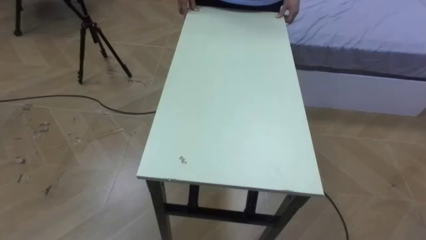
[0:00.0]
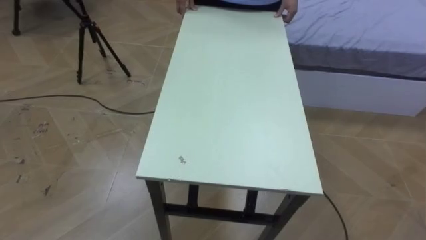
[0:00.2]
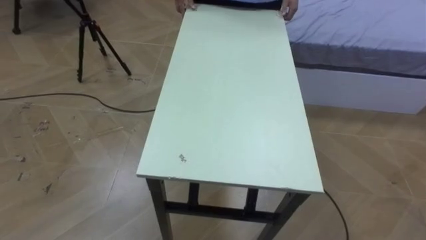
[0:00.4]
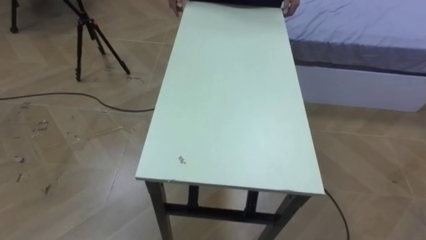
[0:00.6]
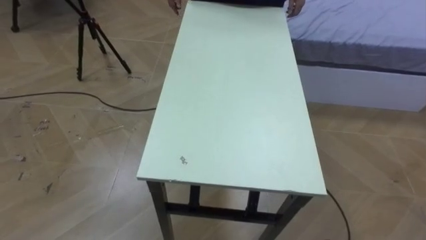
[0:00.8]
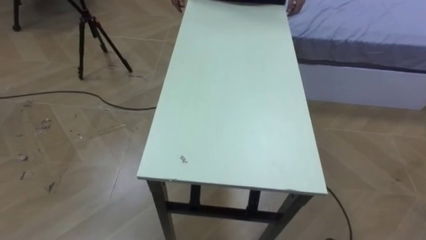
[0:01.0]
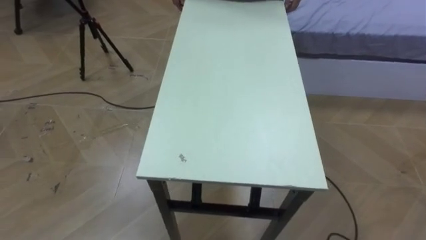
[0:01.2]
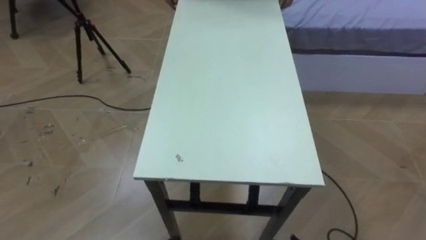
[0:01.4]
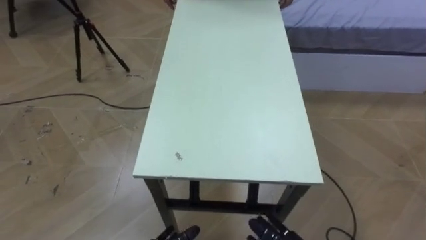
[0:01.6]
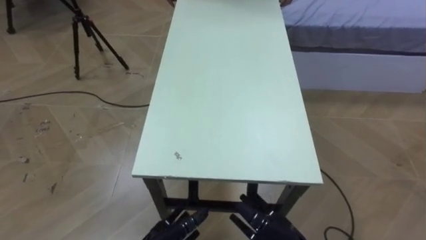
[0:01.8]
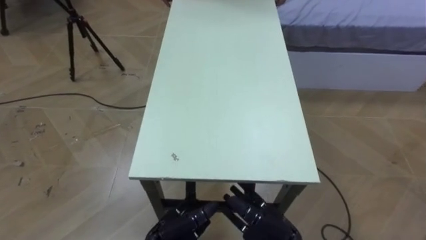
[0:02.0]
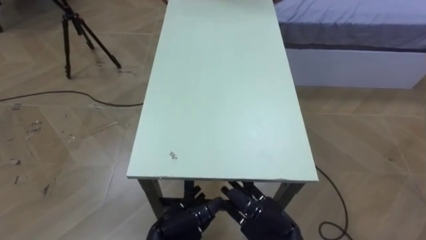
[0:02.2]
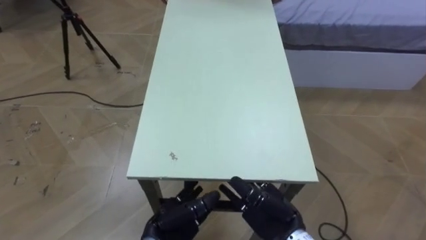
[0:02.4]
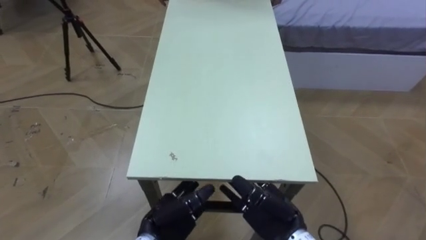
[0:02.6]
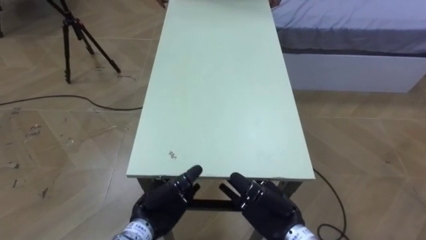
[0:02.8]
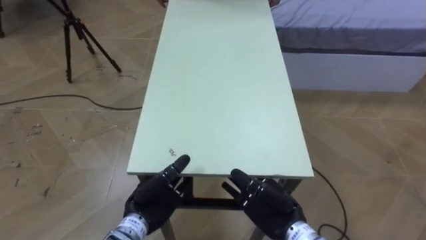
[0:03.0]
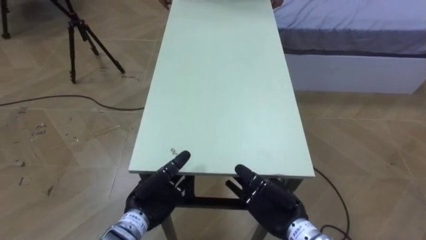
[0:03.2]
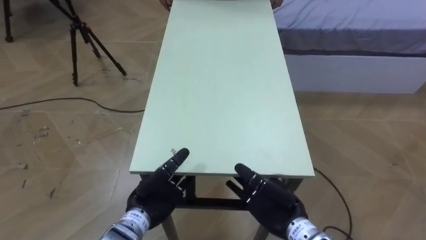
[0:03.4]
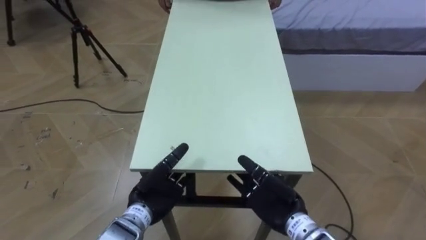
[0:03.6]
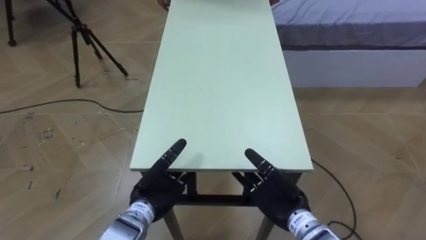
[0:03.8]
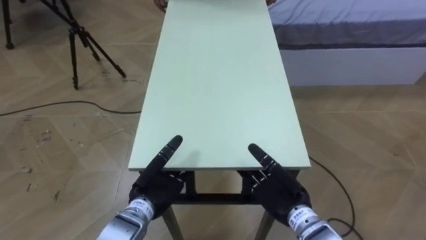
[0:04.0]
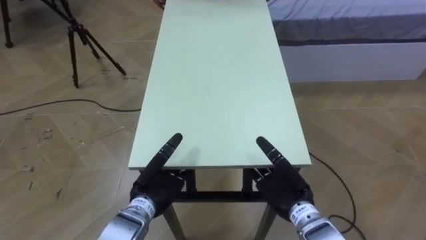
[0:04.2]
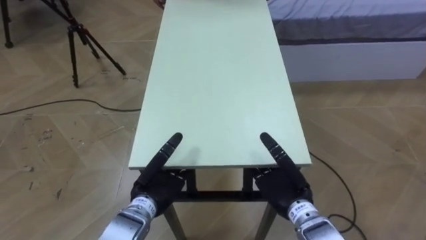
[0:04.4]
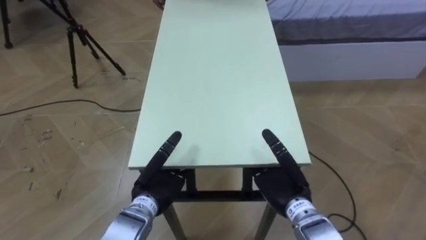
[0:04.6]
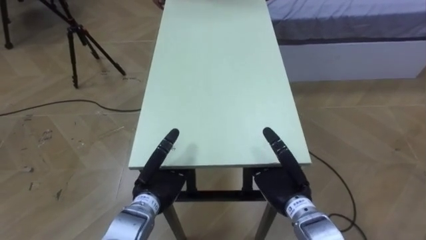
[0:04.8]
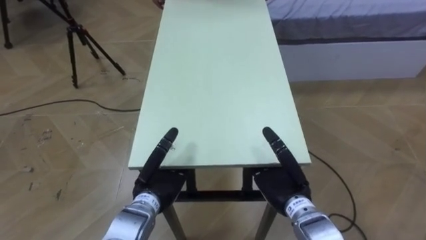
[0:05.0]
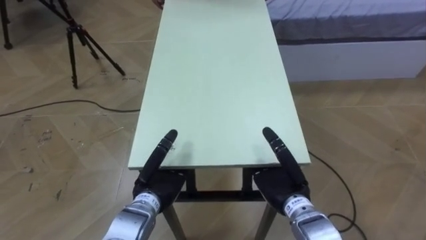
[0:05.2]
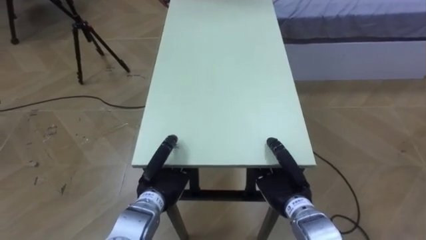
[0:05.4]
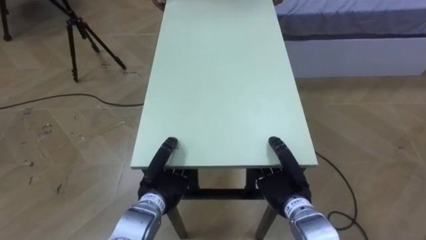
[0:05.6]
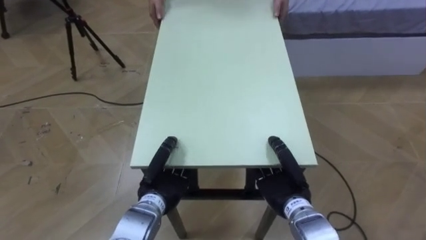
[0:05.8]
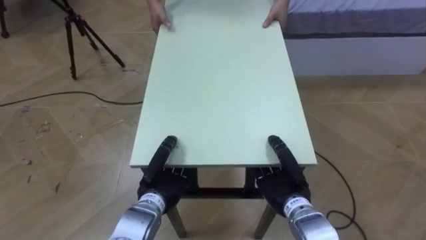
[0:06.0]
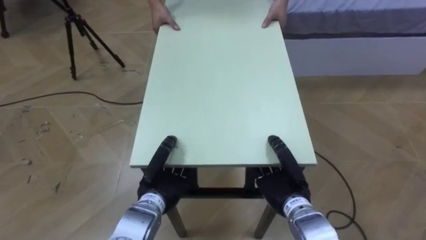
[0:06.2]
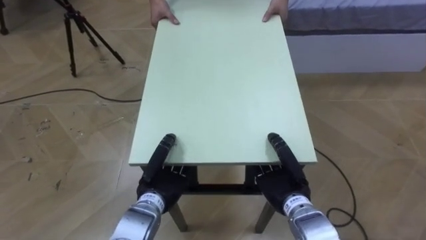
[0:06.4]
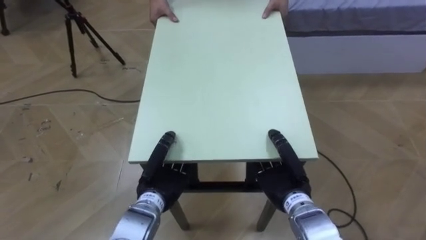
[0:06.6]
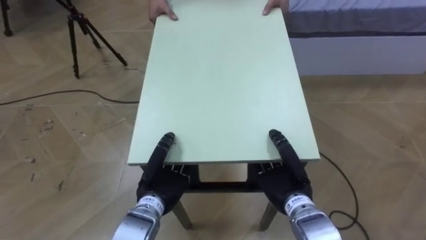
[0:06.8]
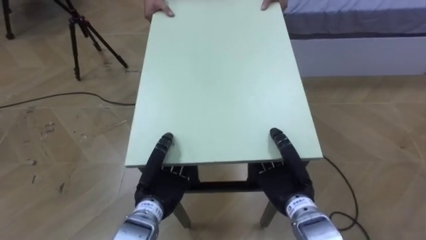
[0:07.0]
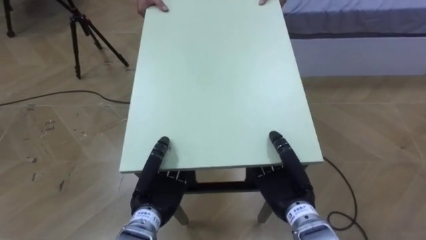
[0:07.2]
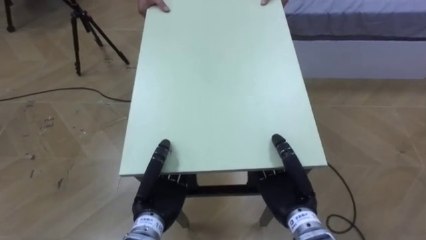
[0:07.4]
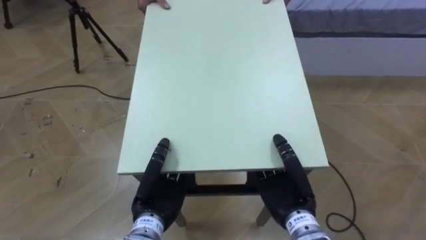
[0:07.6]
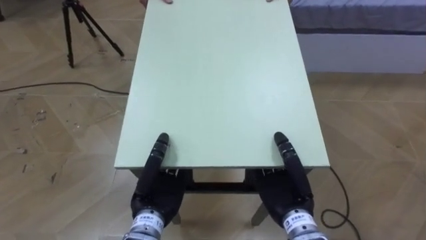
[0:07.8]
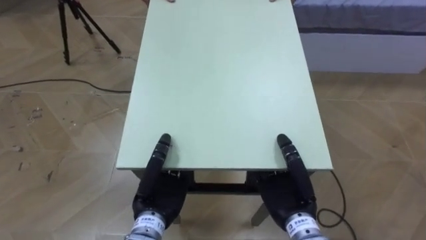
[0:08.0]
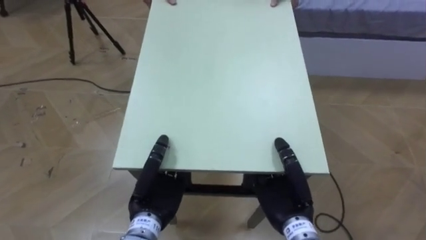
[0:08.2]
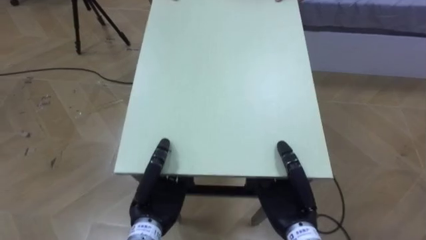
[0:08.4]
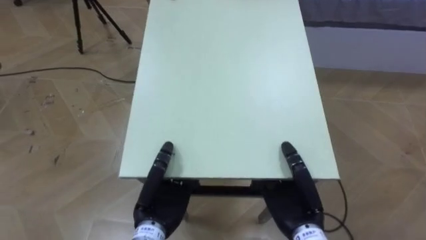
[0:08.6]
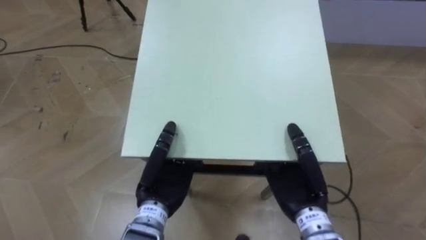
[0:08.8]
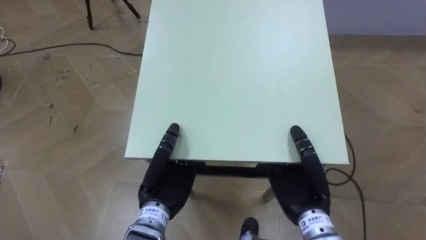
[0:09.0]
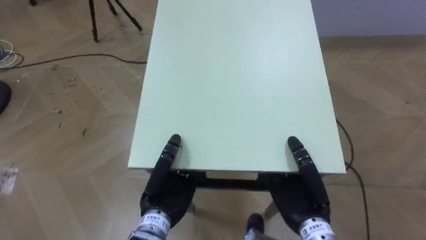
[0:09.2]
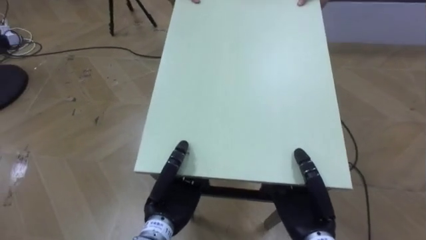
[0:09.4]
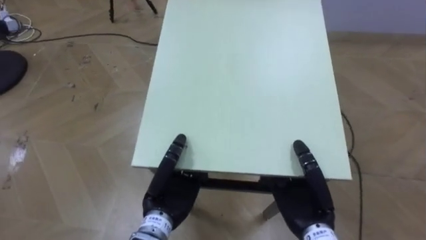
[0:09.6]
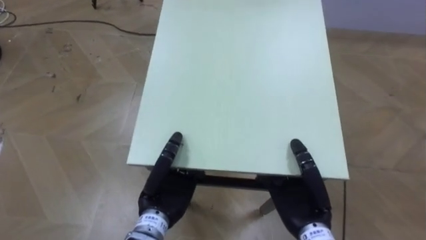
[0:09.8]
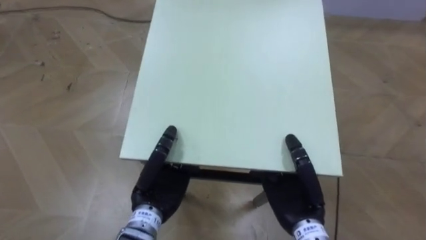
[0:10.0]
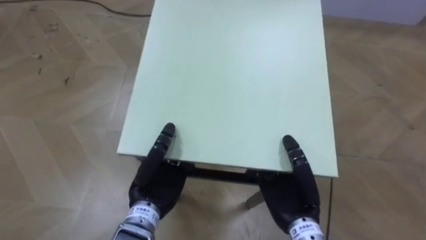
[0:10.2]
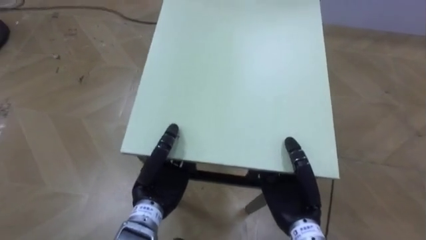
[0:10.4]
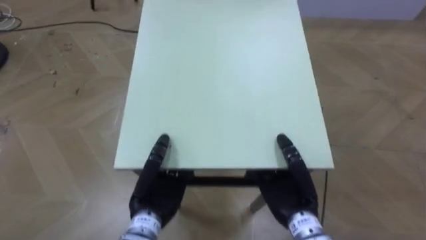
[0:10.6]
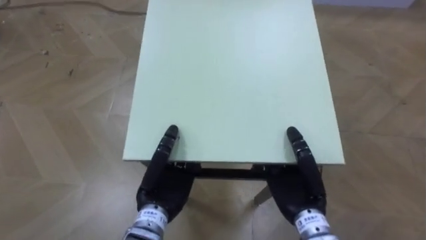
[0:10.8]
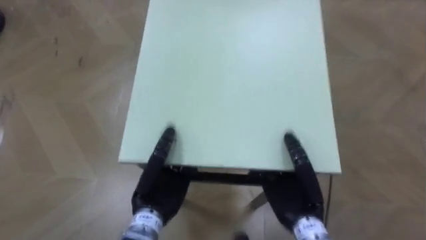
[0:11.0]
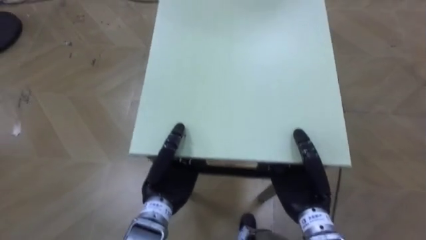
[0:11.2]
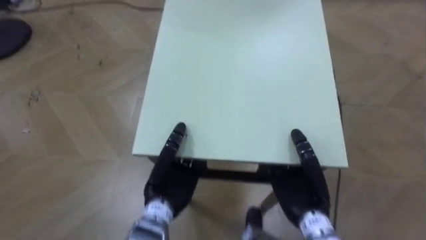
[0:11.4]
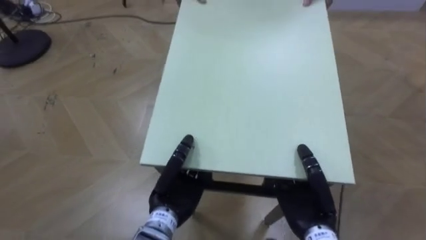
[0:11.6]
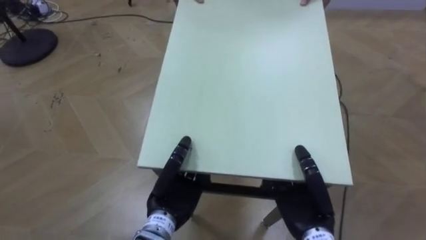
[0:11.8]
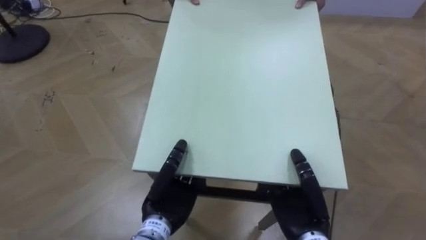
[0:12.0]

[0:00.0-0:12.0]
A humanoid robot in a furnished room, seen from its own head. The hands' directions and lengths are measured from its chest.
Task of the whole recording: Move the table to the back left with someone.
0:04.4 to 0:06.0: The left hand closes, while the right hand closes up.

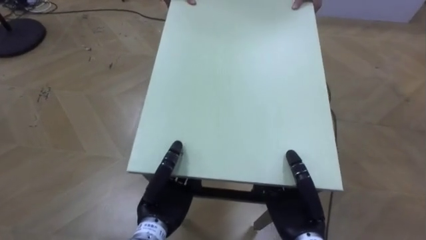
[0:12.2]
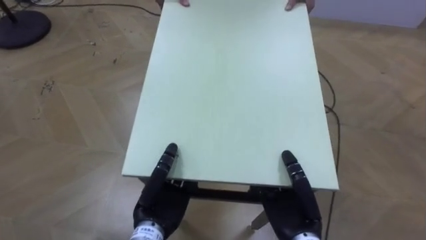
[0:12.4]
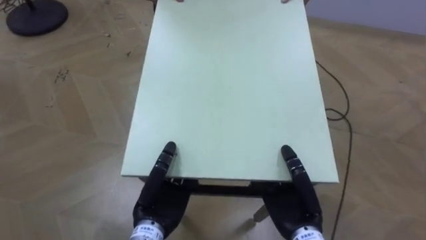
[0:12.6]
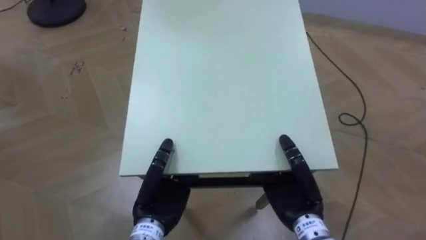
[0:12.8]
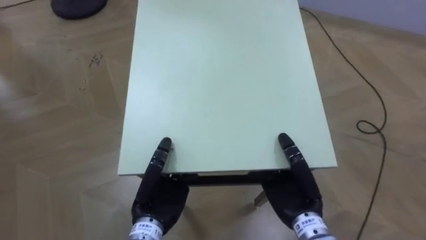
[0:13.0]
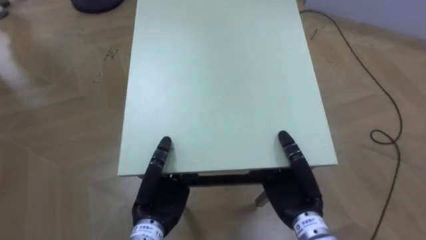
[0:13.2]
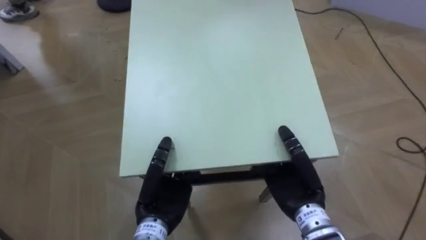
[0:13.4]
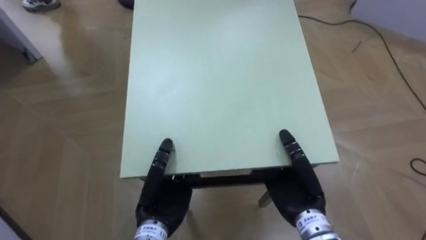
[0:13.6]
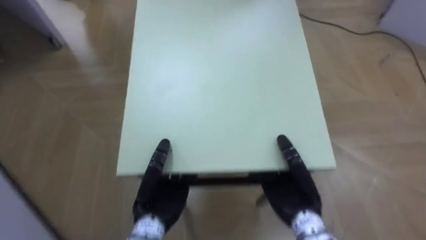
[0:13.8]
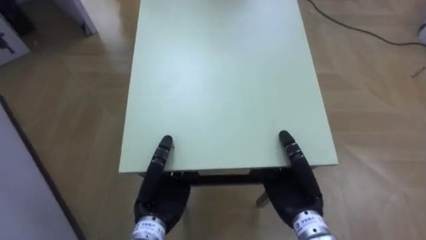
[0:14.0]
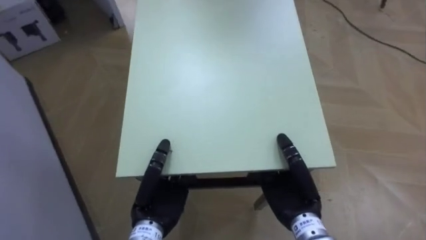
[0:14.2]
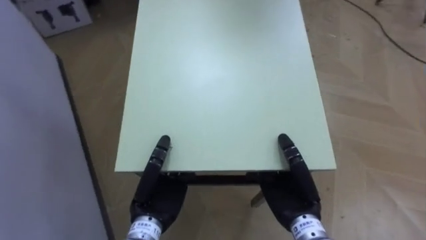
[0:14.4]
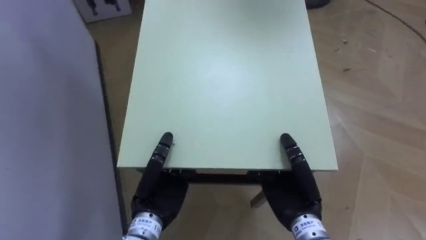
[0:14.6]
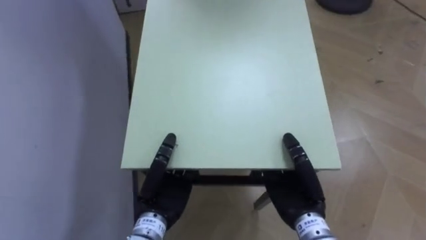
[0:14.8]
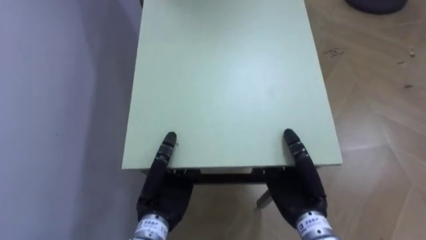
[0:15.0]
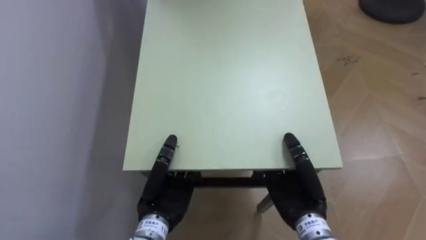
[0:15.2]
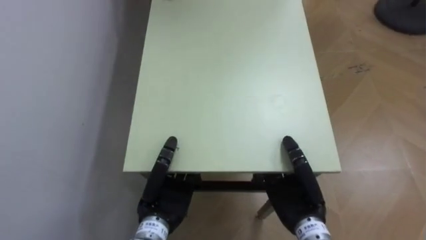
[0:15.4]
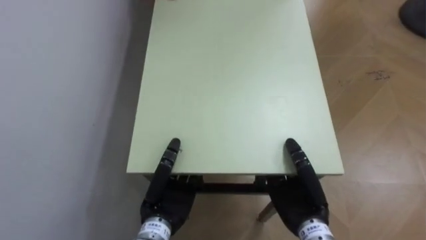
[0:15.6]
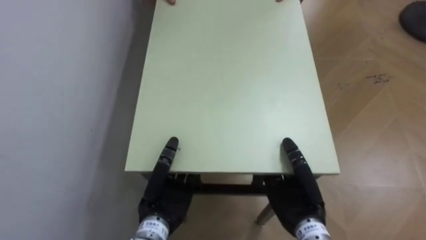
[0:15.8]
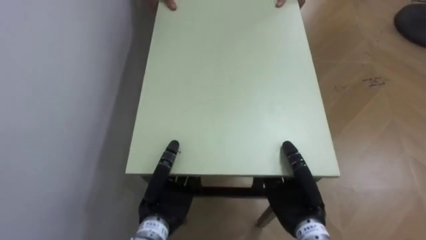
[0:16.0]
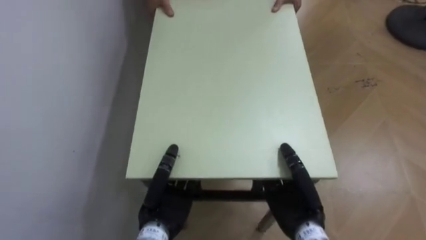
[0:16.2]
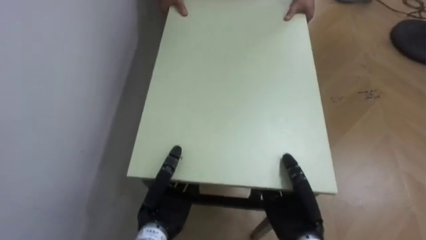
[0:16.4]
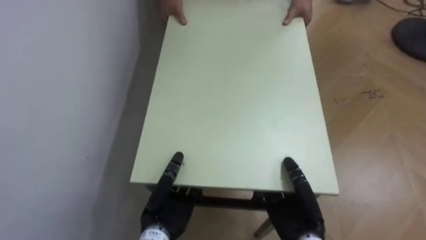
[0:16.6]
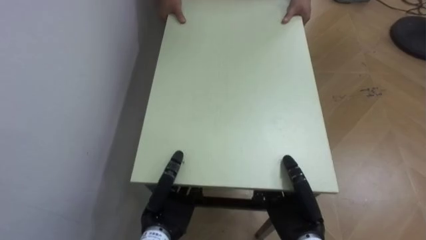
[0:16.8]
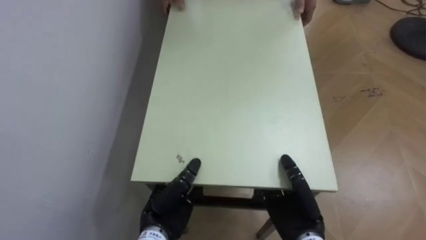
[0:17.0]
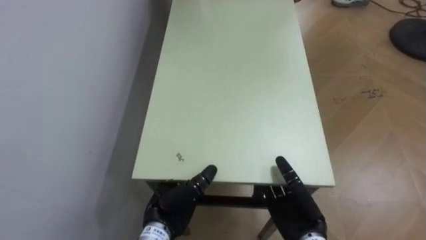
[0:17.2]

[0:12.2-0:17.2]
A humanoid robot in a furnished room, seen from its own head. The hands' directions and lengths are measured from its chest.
Task of the whole recording: Move the table to the back left with someone.
0:12.2 to 0:13.8: The robot turns to its left by some 30 degrees.
0:13.8 to 0:15.6: The robot turns to its left by approximately 55 degrees.
0:15.6 to 0:17.2: The left hand opens up.
